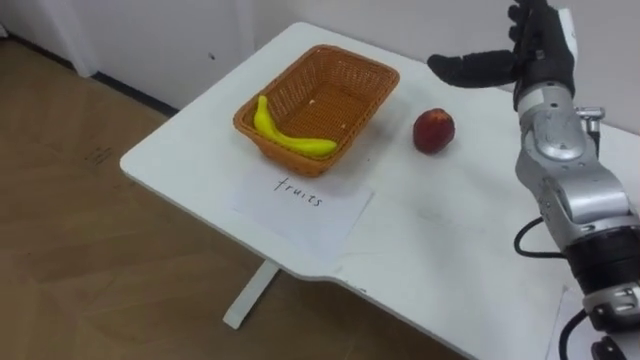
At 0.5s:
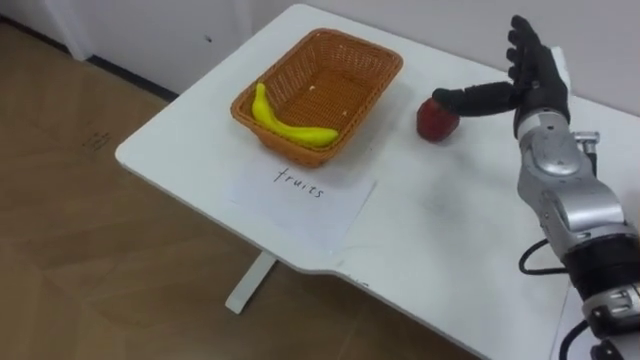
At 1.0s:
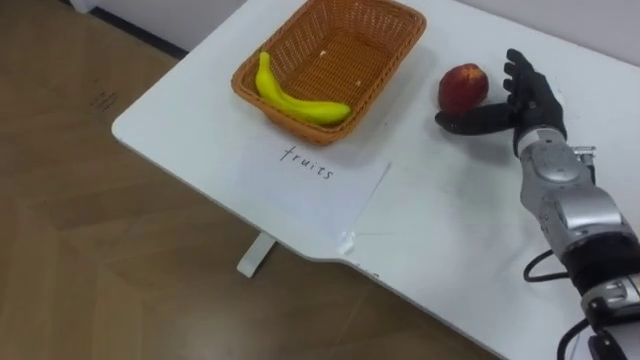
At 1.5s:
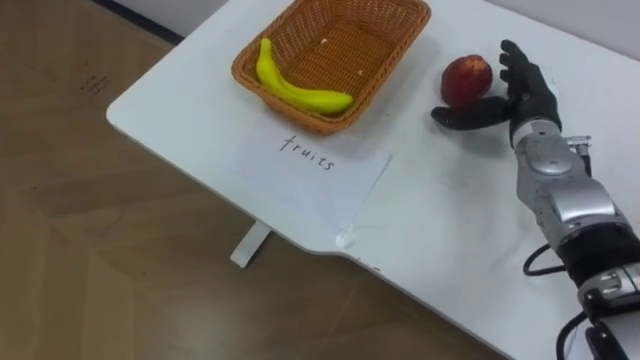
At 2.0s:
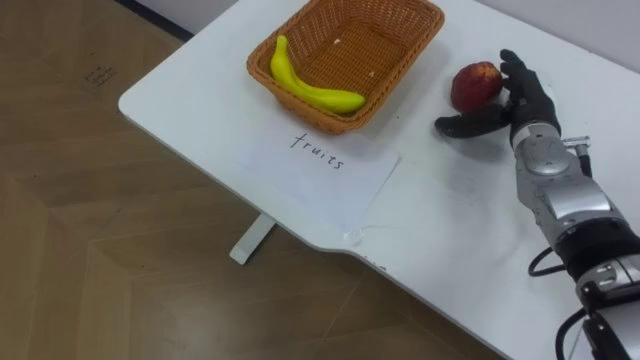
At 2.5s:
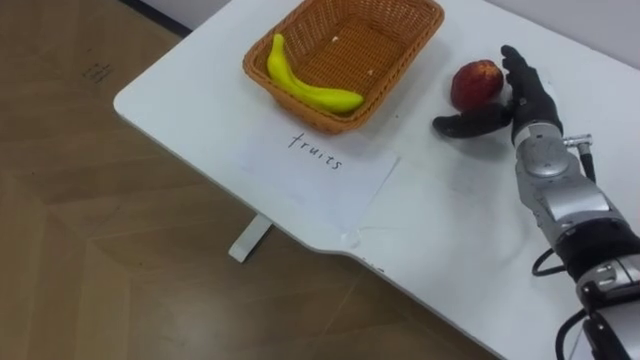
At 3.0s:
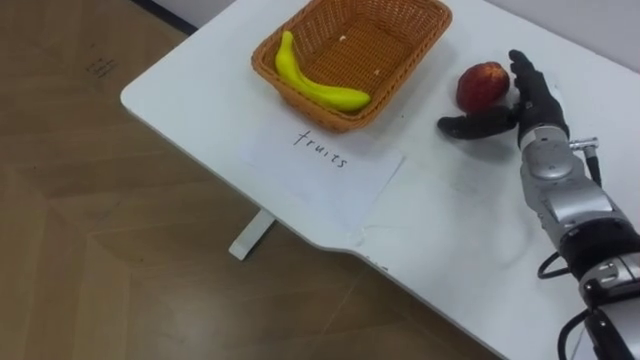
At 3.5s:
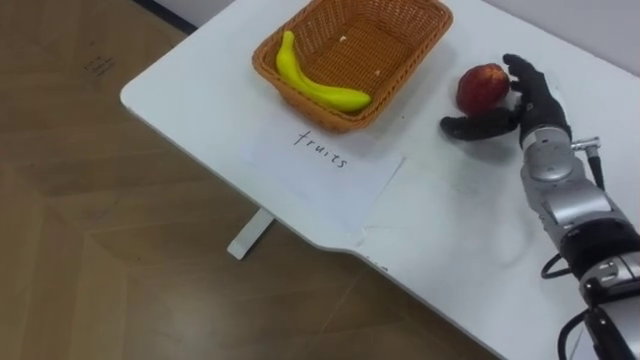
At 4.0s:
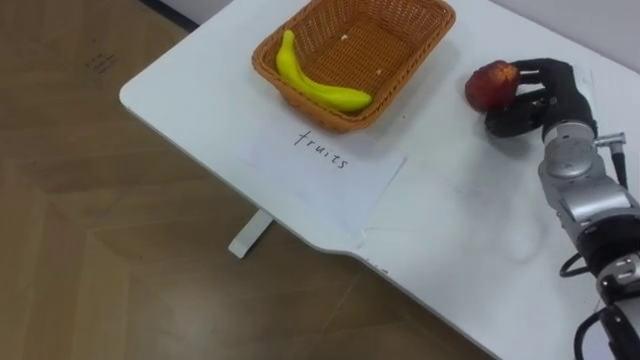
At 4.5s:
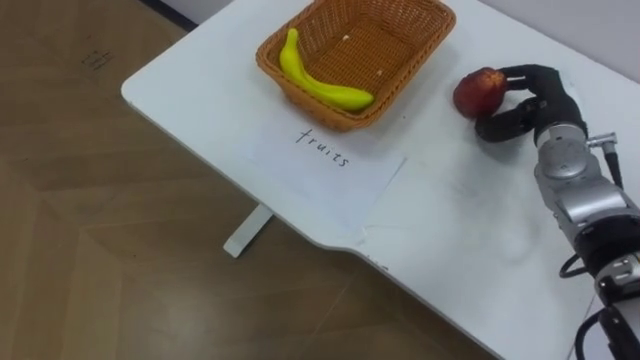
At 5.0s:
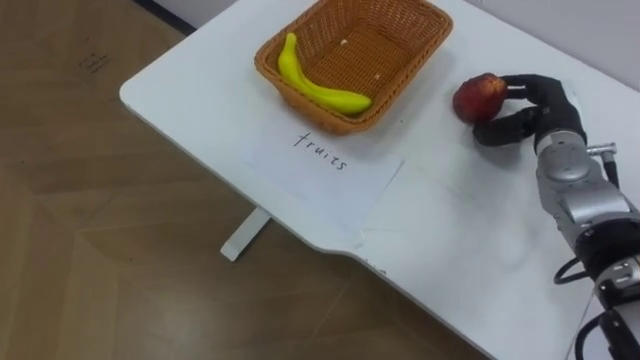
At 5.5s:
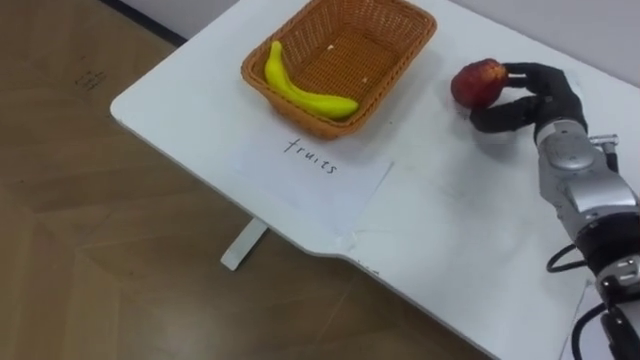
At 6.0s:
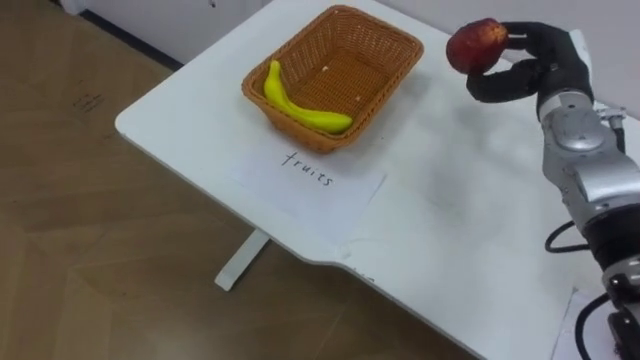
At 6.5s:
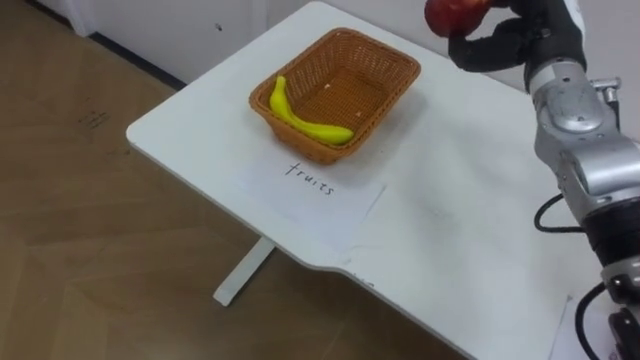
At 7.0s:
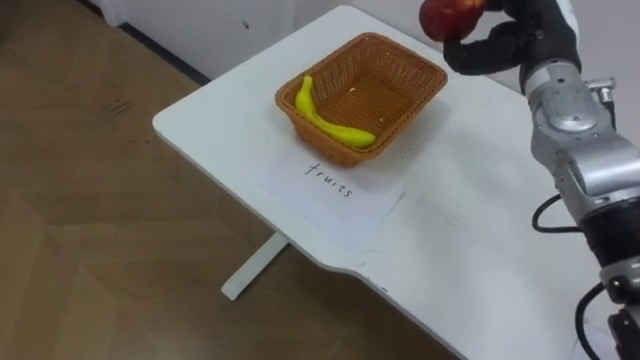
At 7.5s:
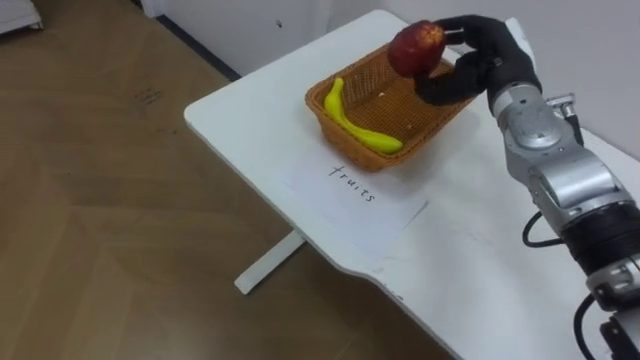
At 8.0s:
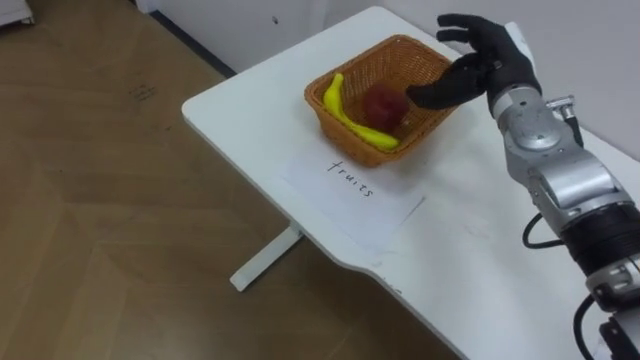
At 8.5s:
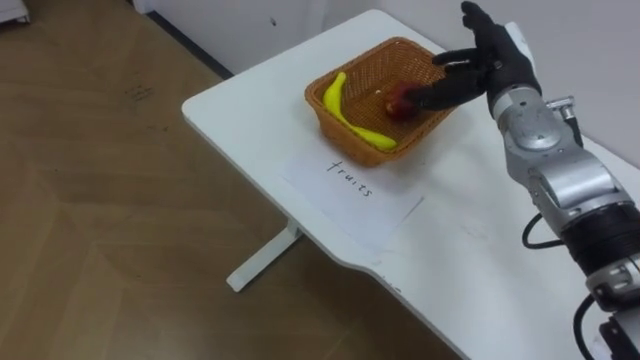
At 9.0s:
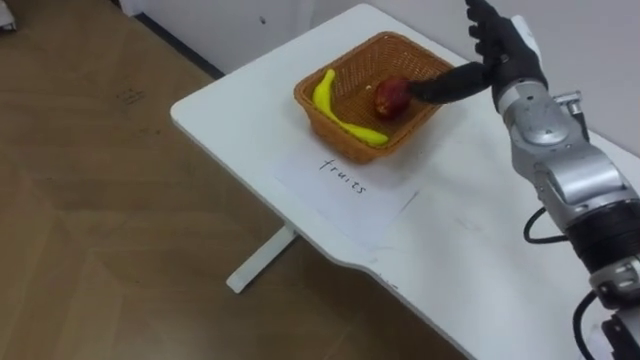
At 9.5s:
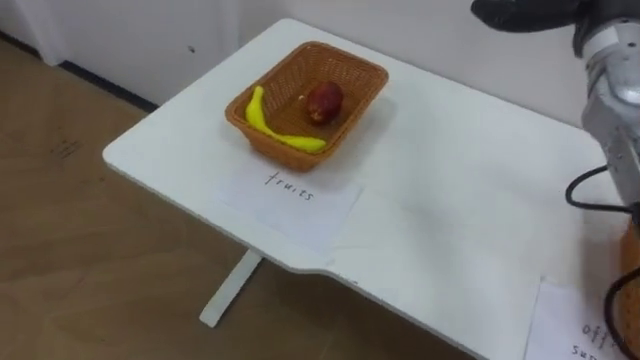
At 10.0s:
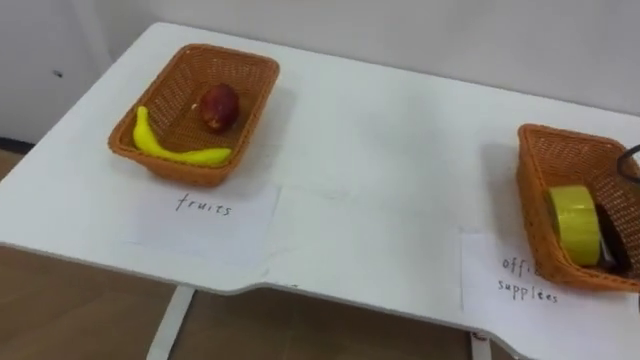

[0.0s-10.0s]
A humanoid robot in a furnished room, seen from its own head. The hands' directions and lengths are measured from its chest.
Task of the whole recording: Separate the items on the table and place them into the two baskets.
0.0s to 2.0s: The right hand travels downward by about 10 cm.
2.0s to 4.0s: The right hand closes.
4.0s to 6.0s: The right hand shifts by approximately 5 cm.
6.0s to 8.0s: The right hand heads to the left, covering some 5 cm.

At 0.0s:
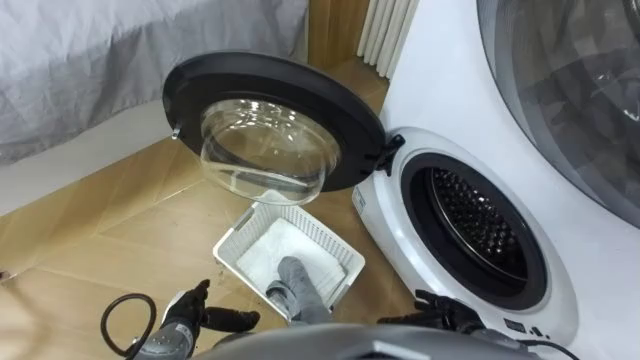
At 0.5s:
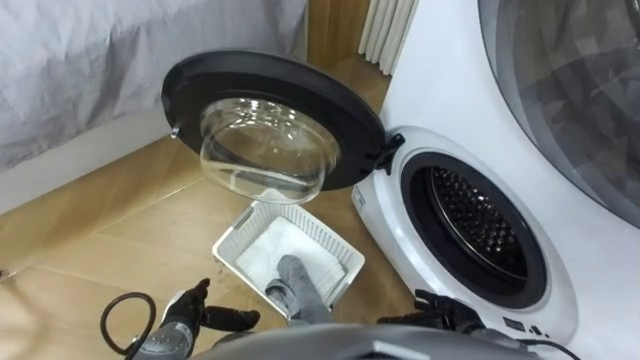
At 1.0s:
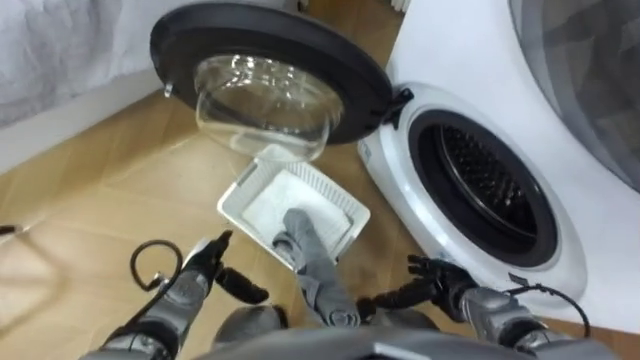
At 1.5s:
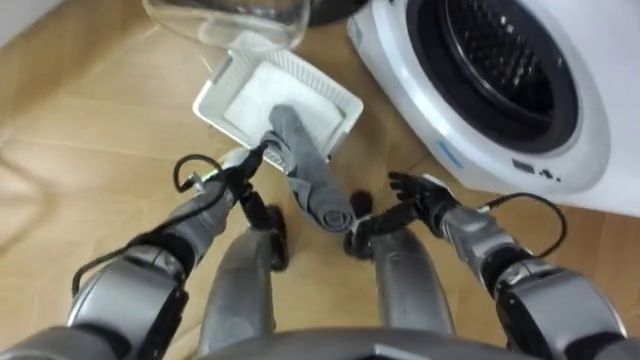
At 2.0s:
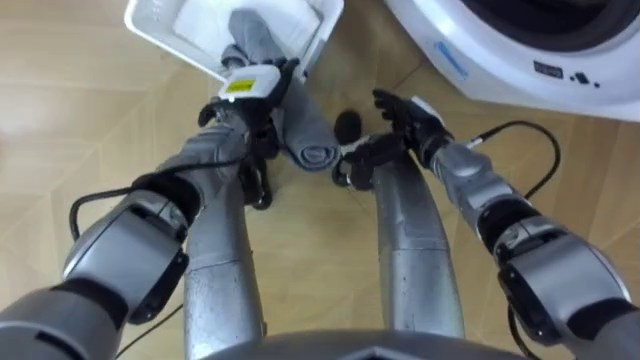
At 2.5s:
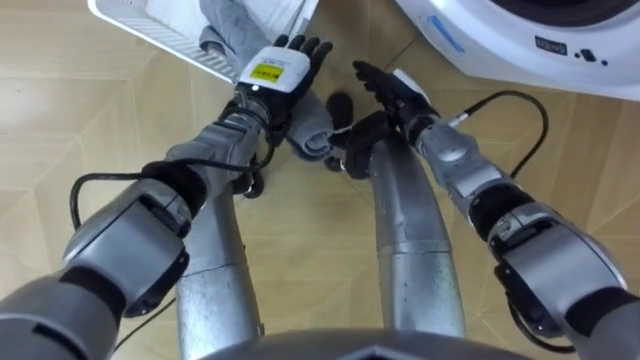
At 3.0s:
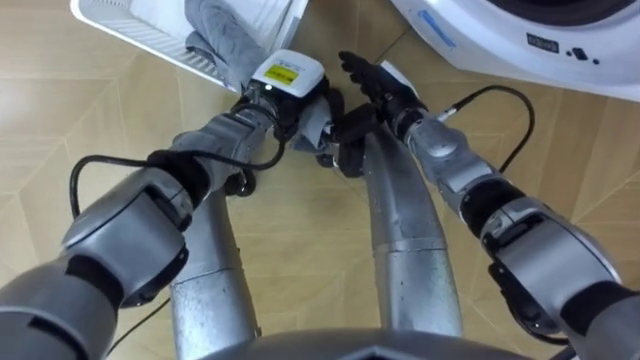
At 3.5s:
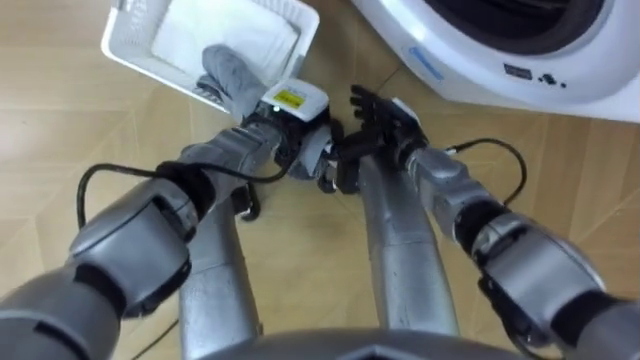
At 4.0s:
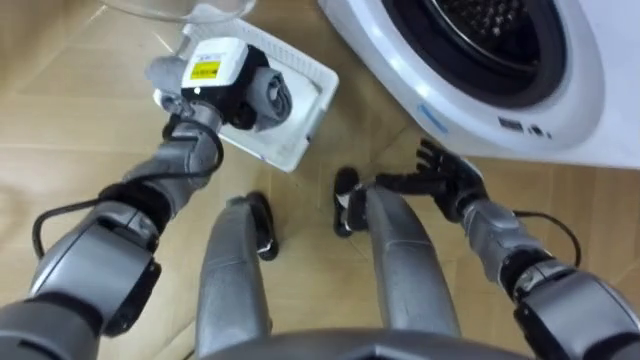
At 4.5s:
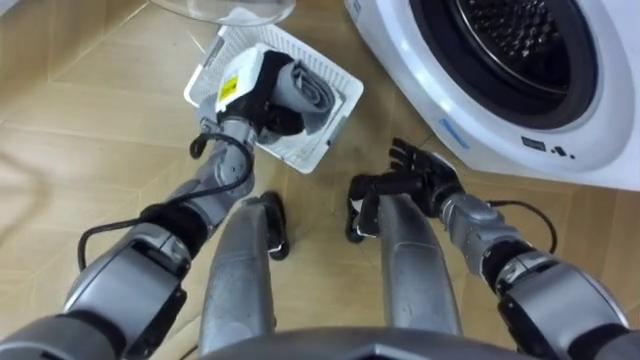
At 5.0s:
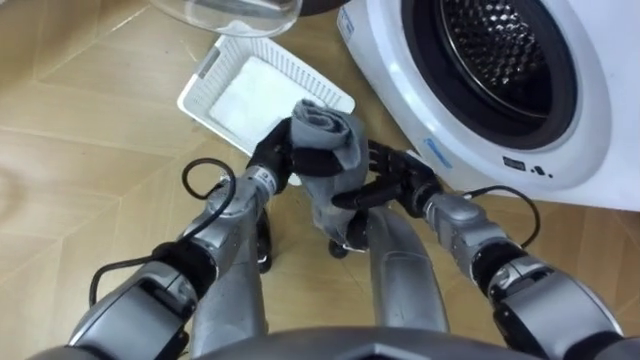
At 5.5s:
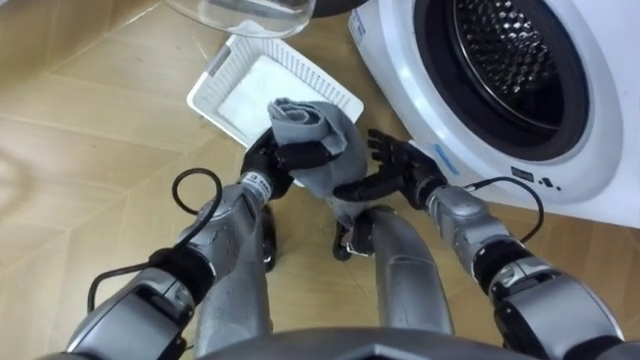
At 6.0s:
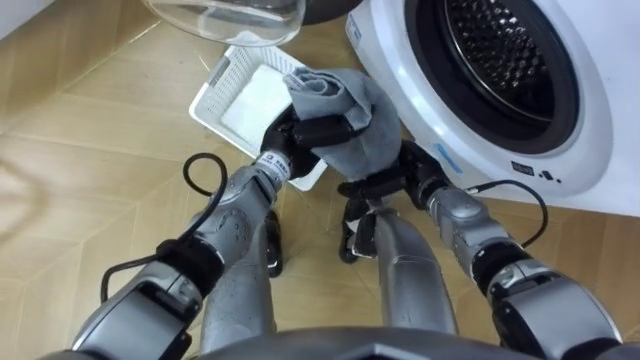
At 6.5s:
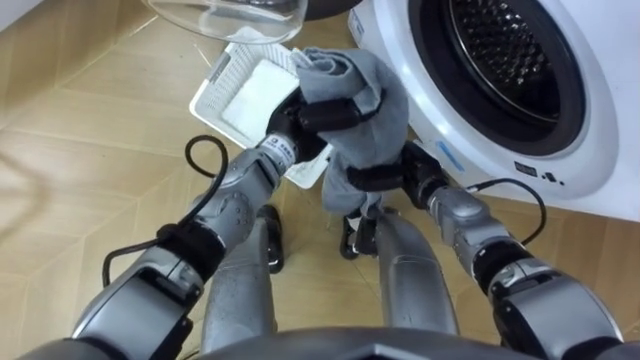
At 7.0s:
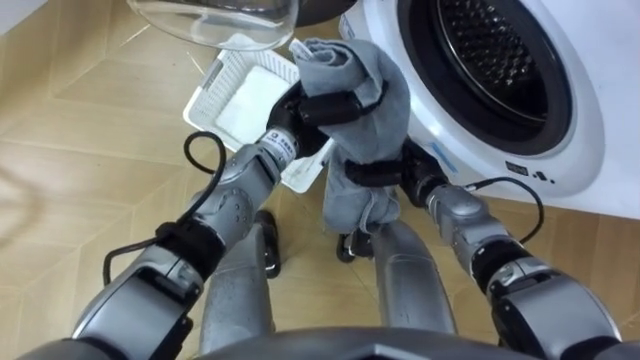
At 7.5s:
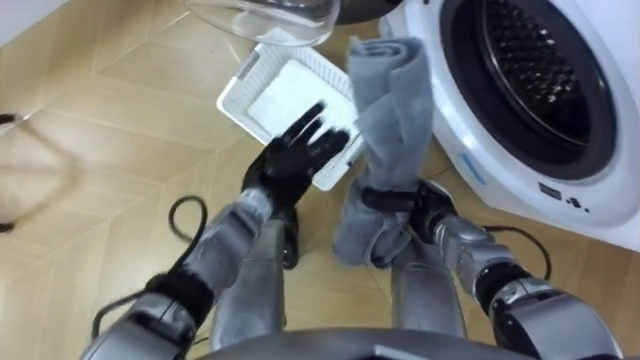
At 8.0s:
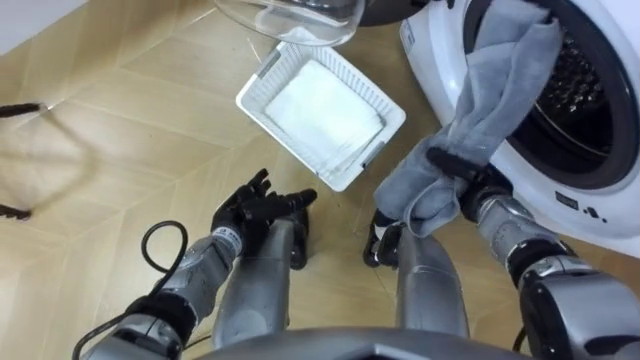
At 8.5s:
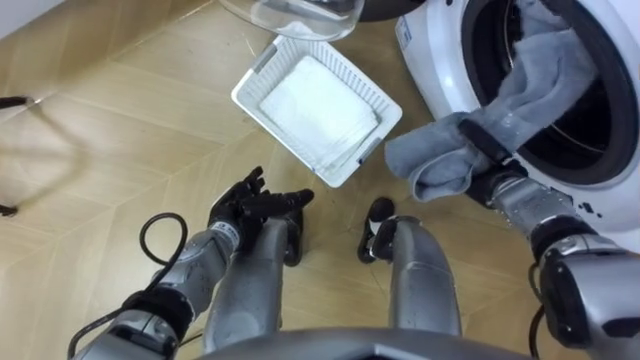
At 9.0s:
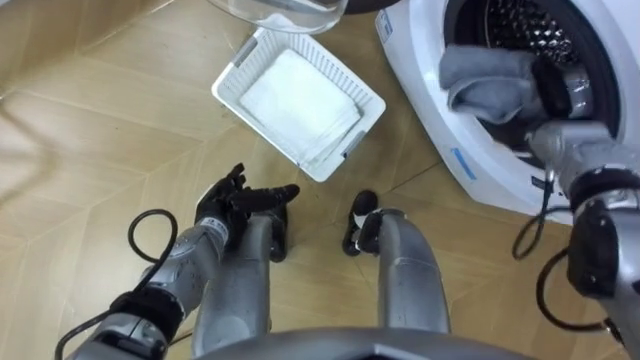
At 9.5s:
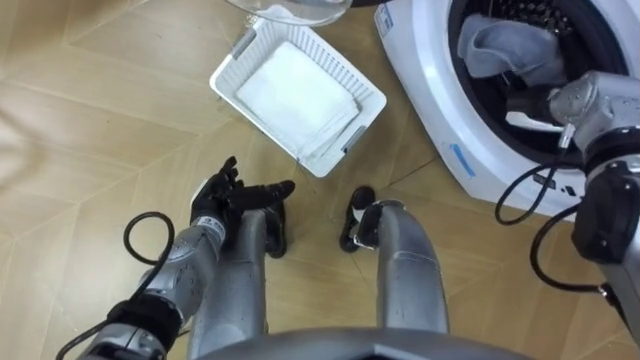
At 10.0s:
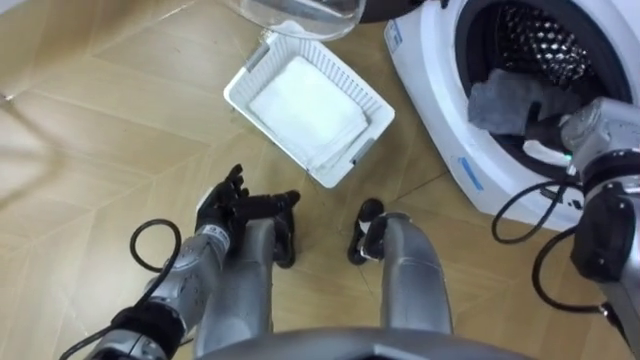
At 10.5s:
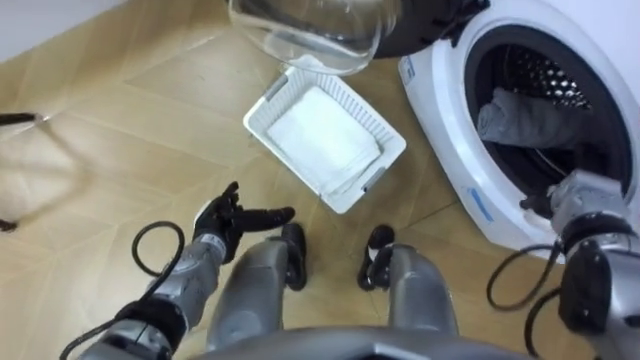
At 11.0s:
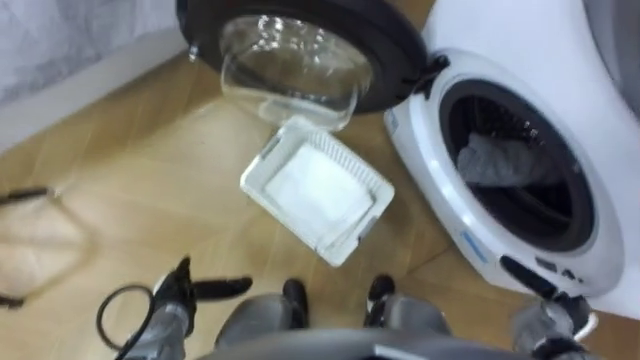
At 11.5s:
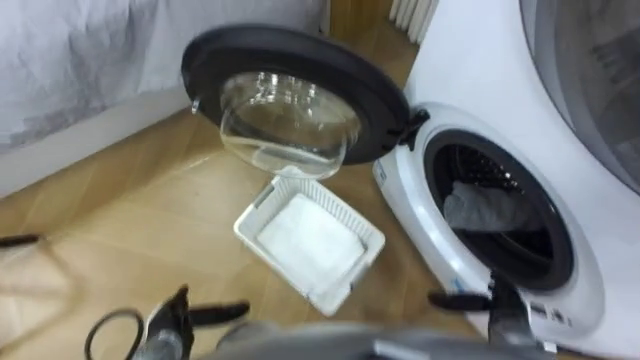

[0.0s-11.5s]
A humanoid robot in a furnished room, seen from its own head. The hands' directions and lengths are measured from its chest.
Task of the whole recording: Take the towel from the basket and put it into the washing machine.
2.0s to 4.0s: The right hand heads to the right, backward and downward, covering approximately 10 cm; the left hand shifts by roughly 5 cm, and closes its fingers.
4.0s to 6.0s: The right hand moves to the left, about 5 cm, while the left hand goes approximately 15 cm to the right and backward.
6.0s to 7.5s: The left hand moves about 5 cm, and opens, while the right hand shifts by some 5 cm, and closes its fingers.
7.5s to 9.5s: The left hand travels to the left and downward by roughly 10 cm. Meanwhile the right hand heads to the right, upward and forward, covering approximately 25 cm.
9.5s to 11.5s: The right hand goes some 35 cm backward and downward, and opens up, while the left hand moves backward, downward and to the left, about 20 cm.
